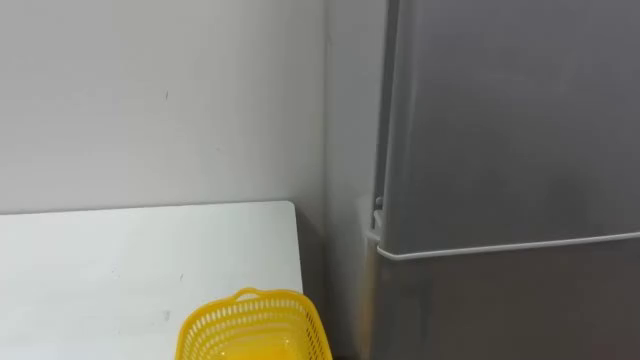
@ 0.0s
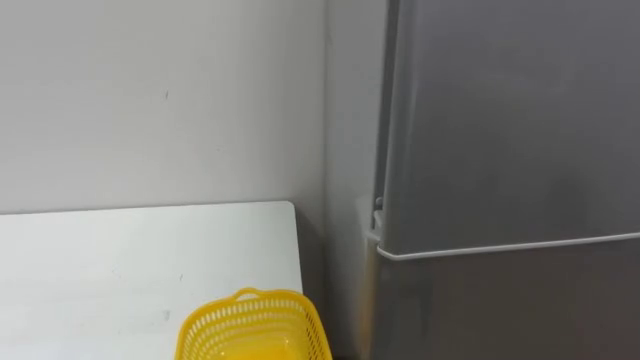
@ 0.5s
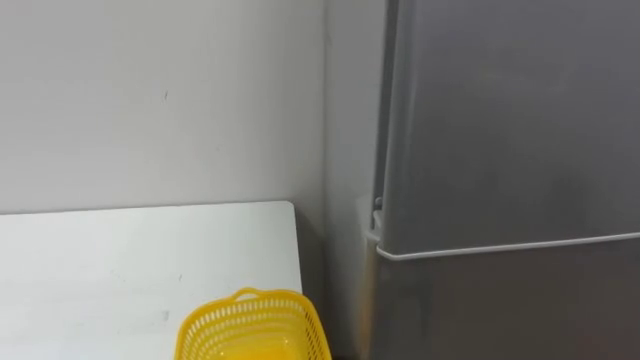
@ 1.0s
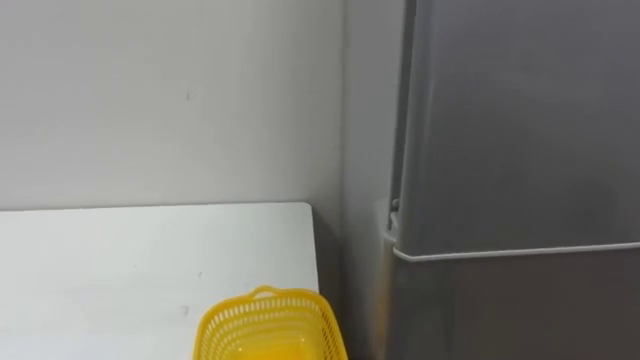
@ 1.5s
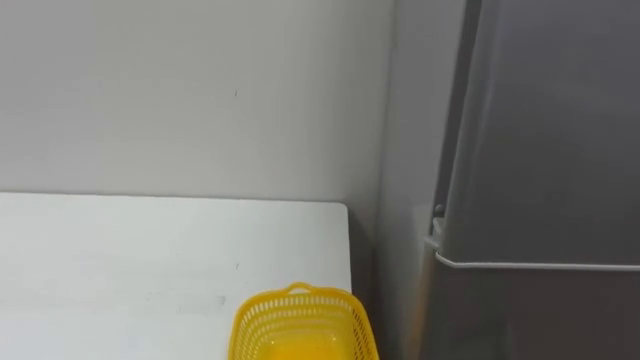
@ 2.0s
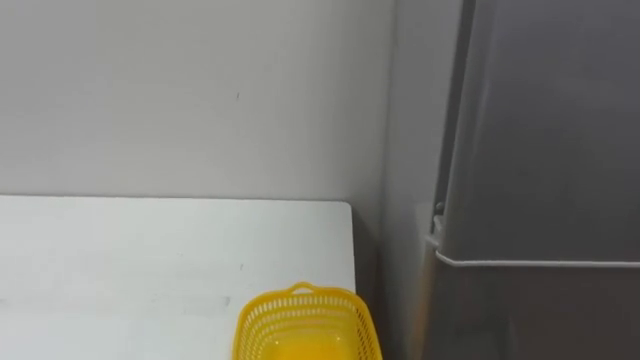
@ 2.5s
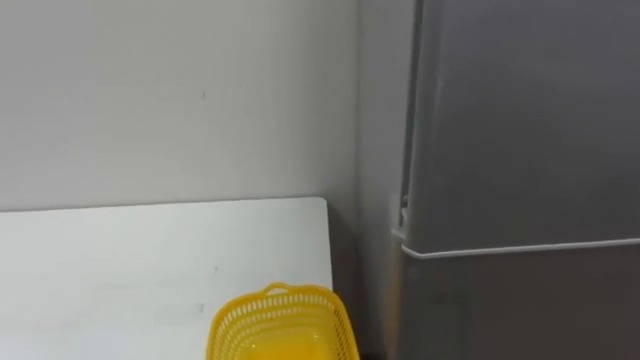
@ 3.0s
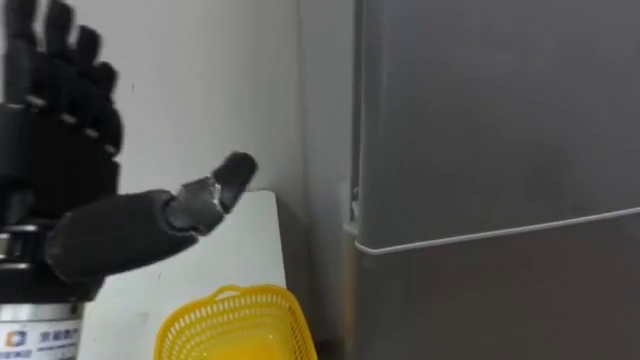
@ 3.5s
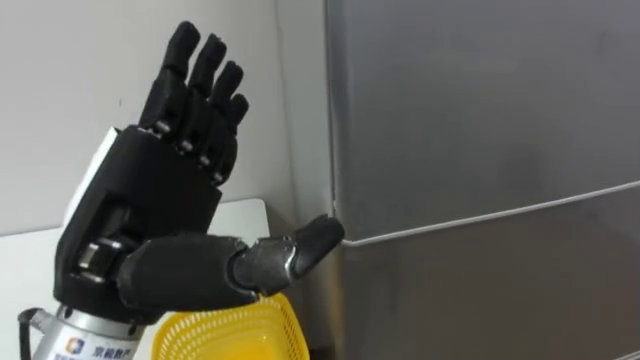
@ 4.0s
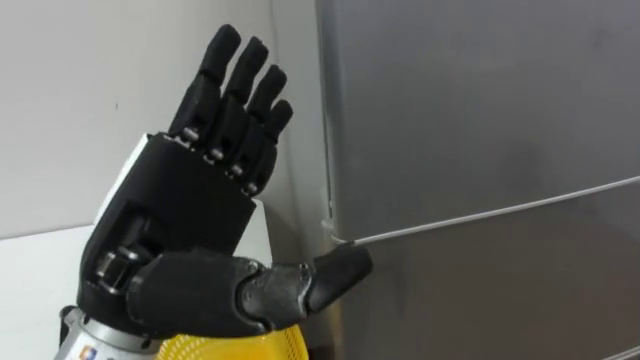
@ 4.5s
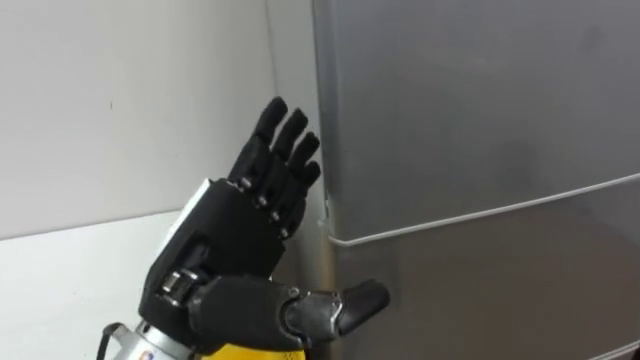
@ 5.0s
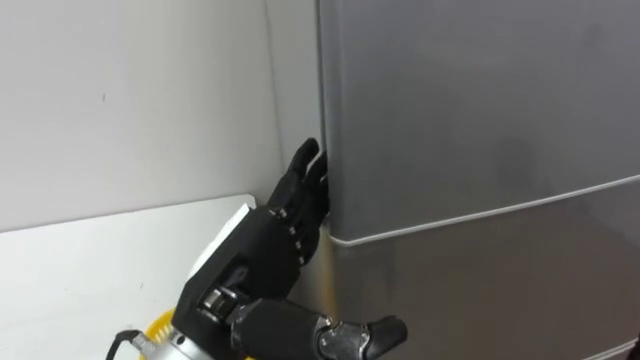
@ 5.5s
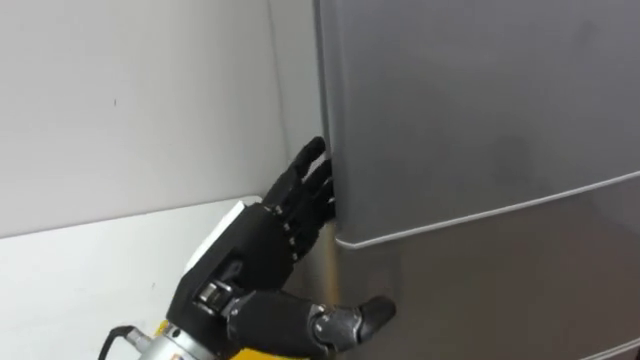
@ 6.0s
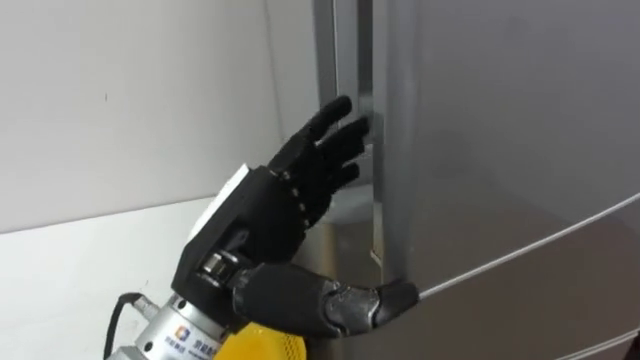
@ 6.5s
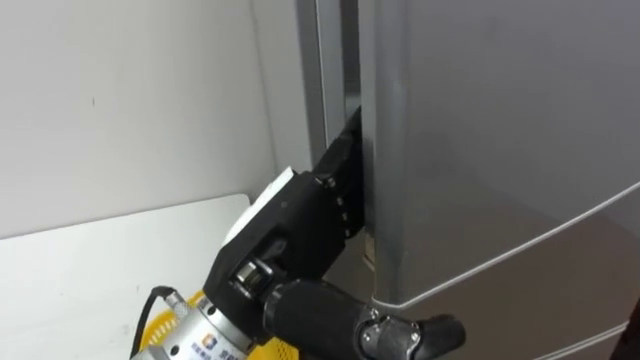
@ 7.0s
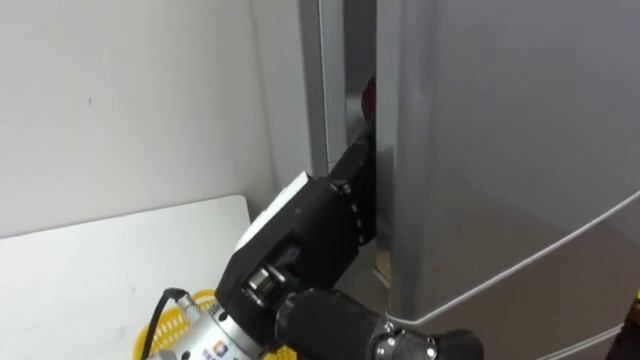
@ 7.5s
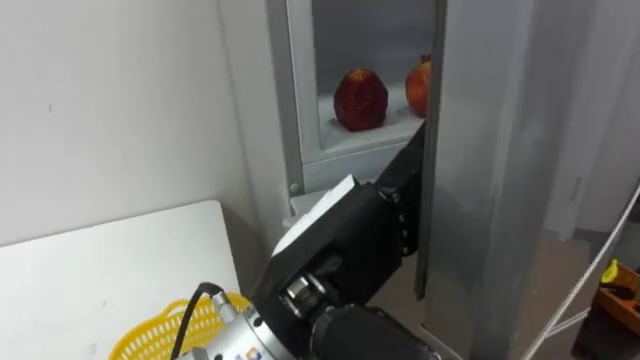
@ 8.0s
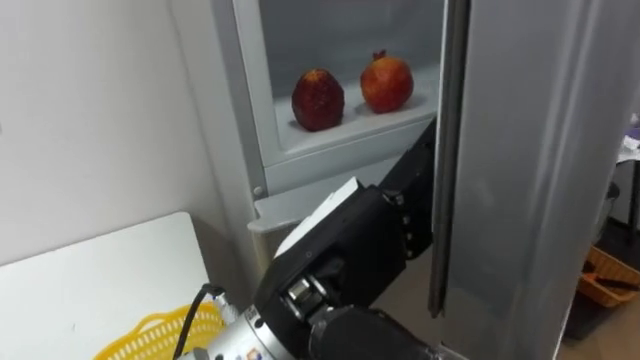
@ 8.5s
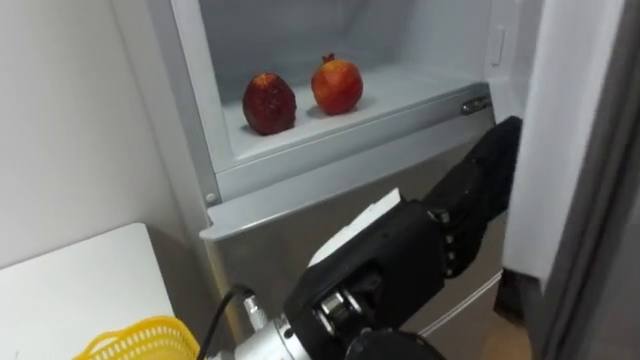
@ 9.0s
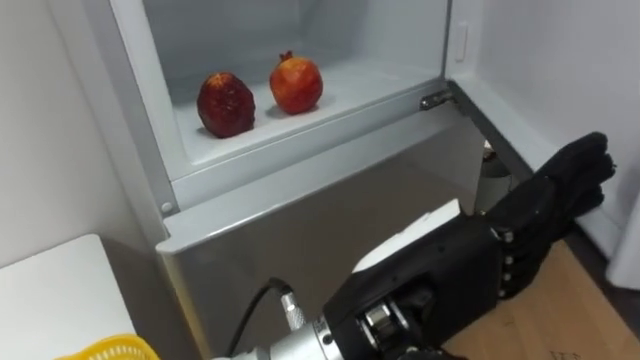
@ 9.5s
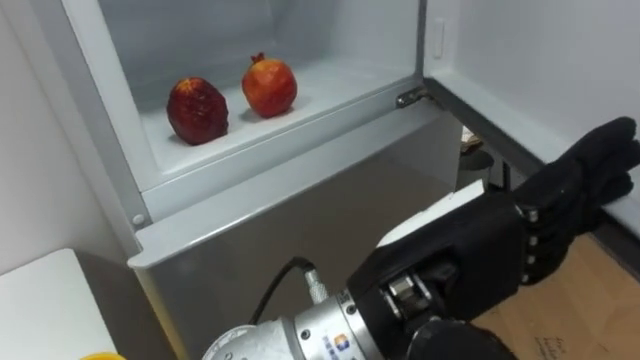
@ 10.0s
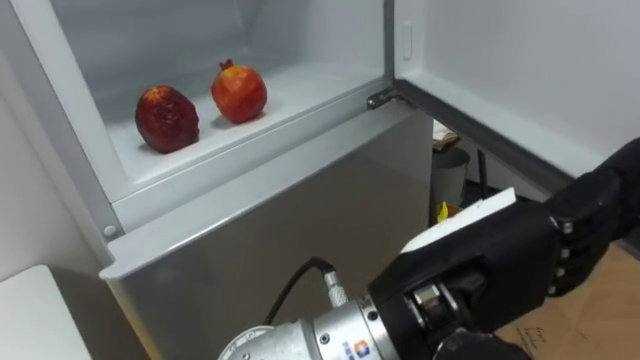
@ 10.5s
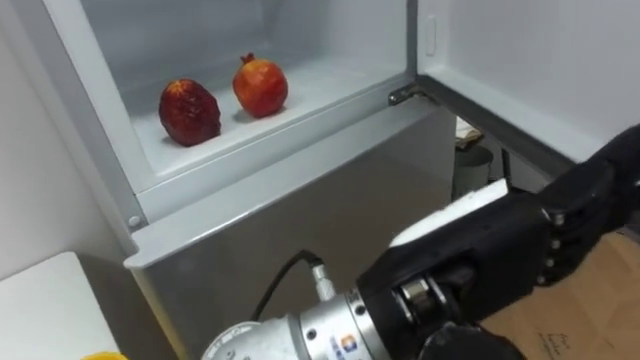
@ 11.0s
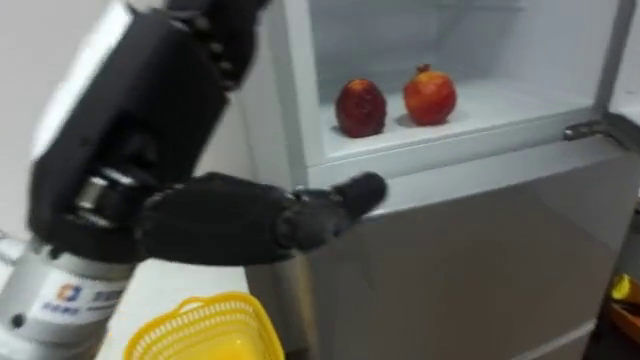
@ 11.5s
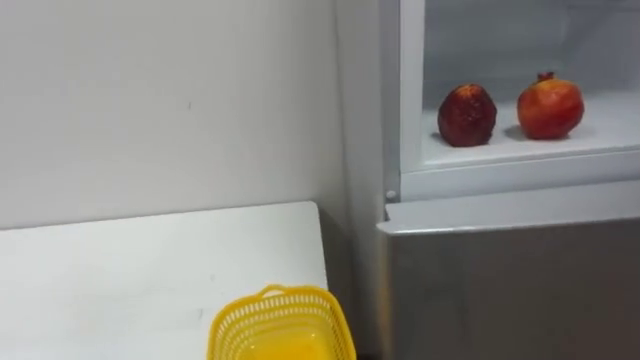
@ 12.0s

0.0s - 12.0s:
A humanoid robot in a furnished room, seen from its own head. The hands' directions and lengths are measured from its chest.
Task of the whole recording: Open the refrigerator door, take out the apple and the pomegranate, place them in the fruit basket on the left, and close the refrigerator door.
4.0s - 6.0s: The left hand travels downward and to the right by some 10 cm.
6.0s - 8.0s: The left hand heads to the right, covering some 5 cm.
8.0s - 10.0s: The left hand travels to the right by approximately 5 cm.

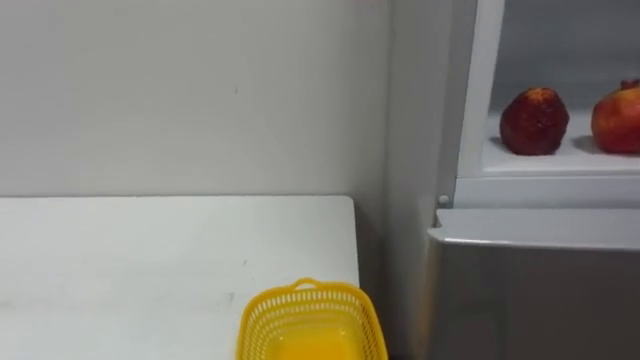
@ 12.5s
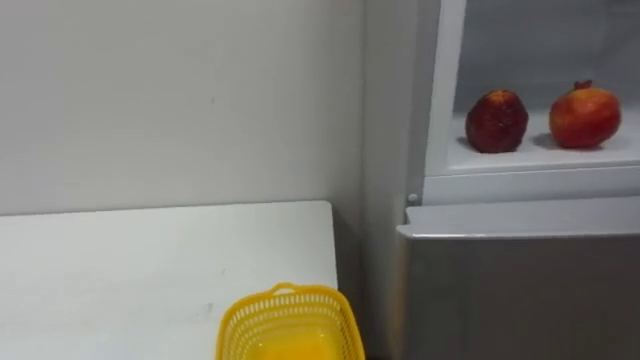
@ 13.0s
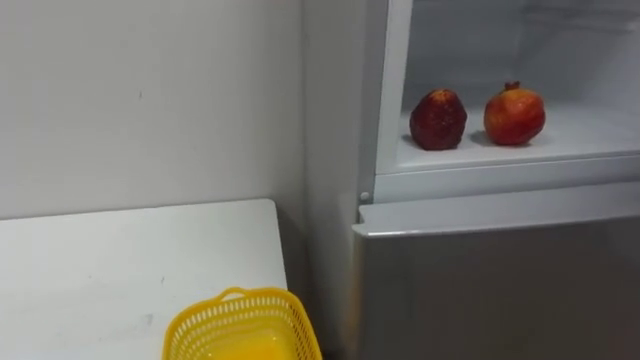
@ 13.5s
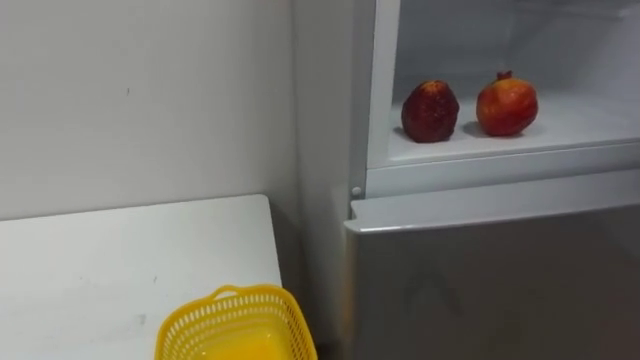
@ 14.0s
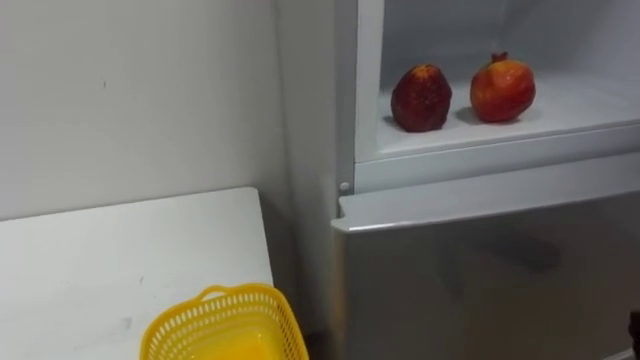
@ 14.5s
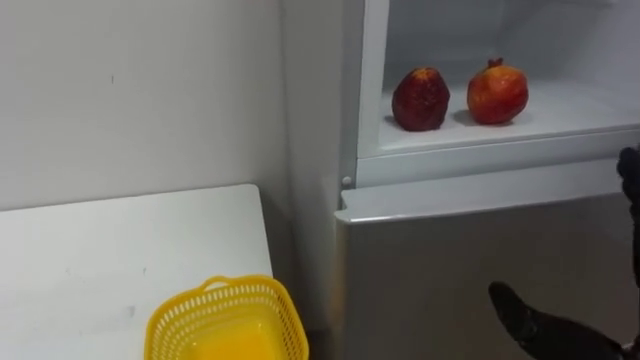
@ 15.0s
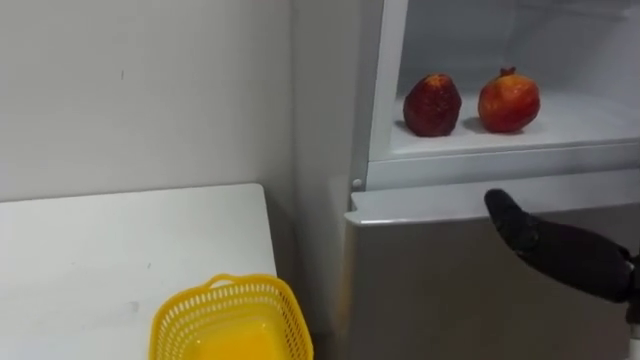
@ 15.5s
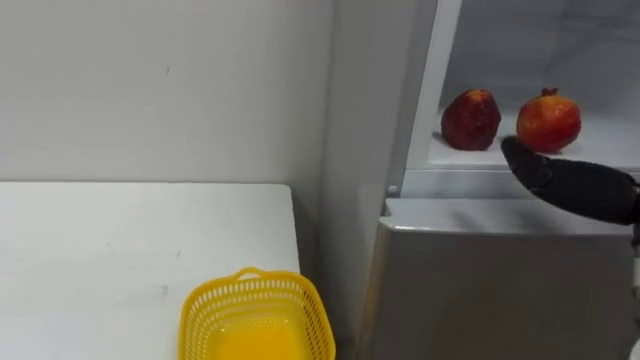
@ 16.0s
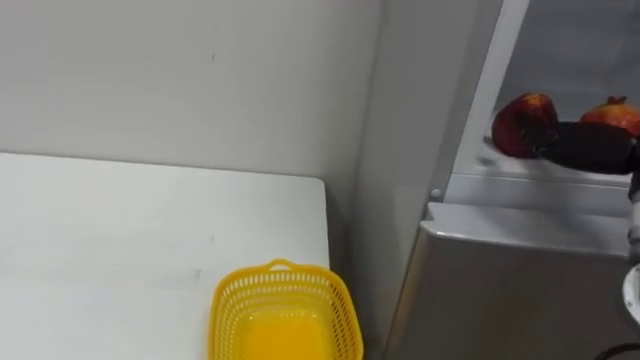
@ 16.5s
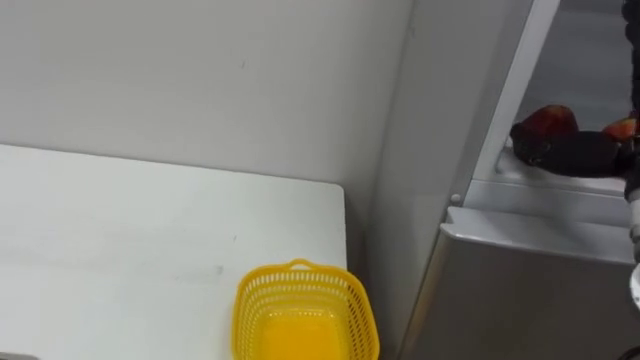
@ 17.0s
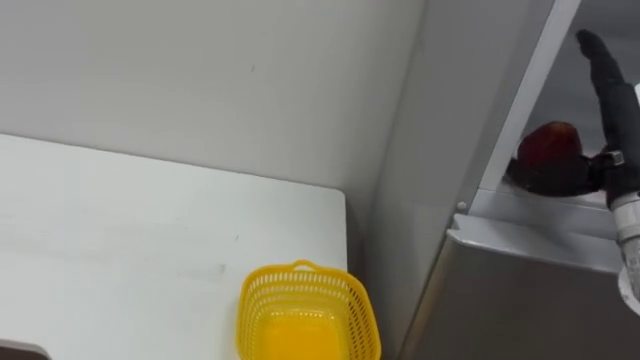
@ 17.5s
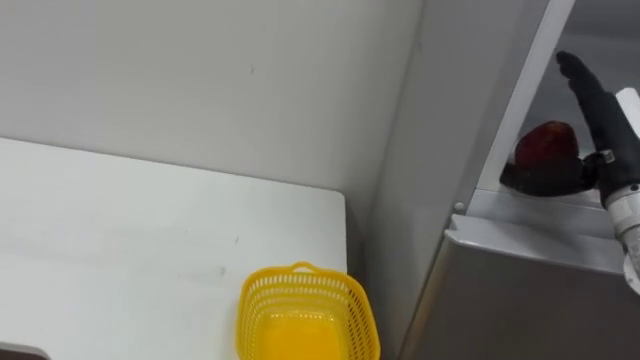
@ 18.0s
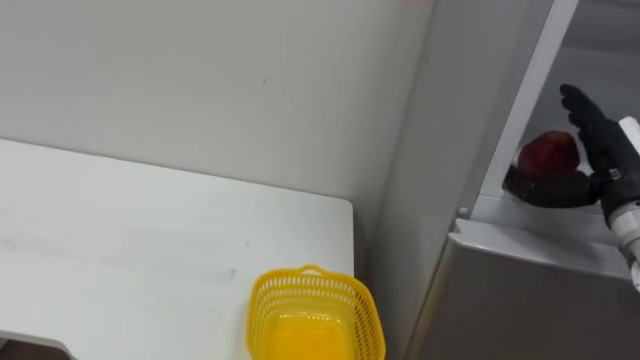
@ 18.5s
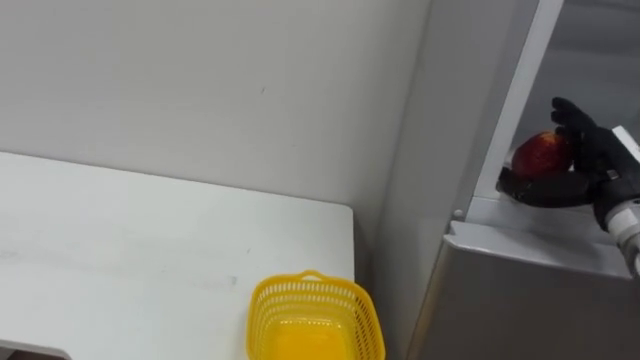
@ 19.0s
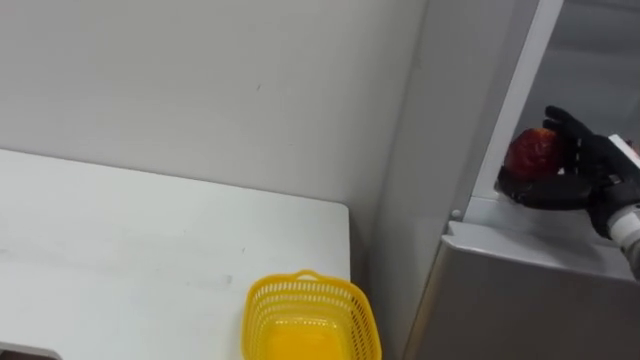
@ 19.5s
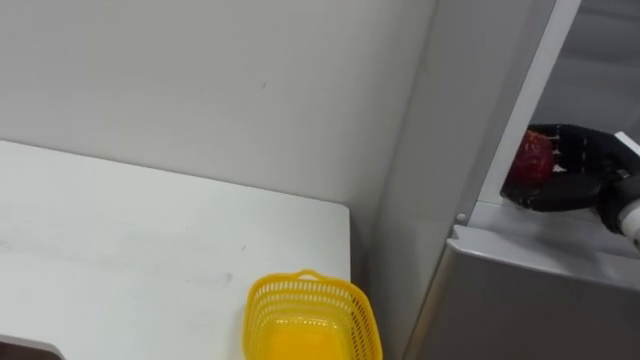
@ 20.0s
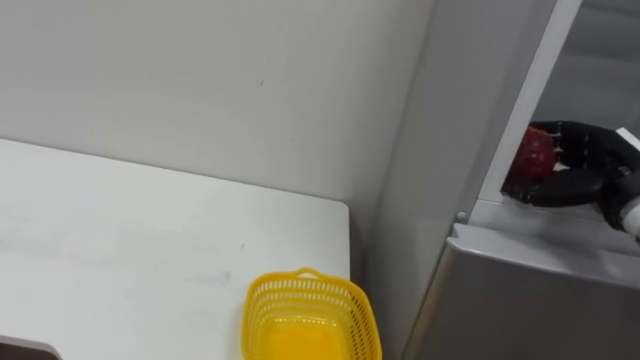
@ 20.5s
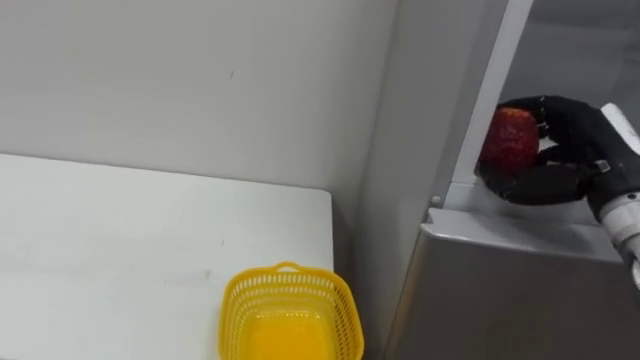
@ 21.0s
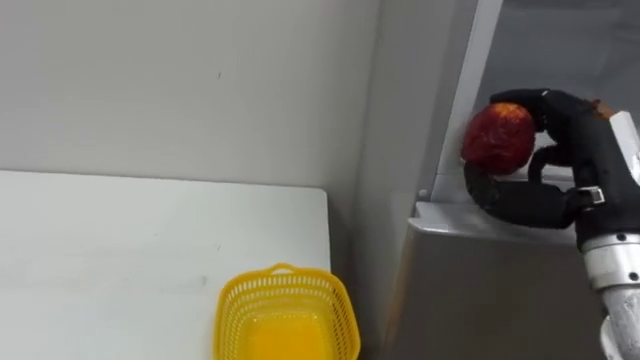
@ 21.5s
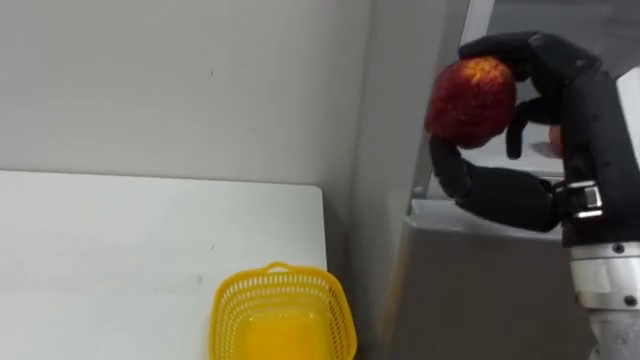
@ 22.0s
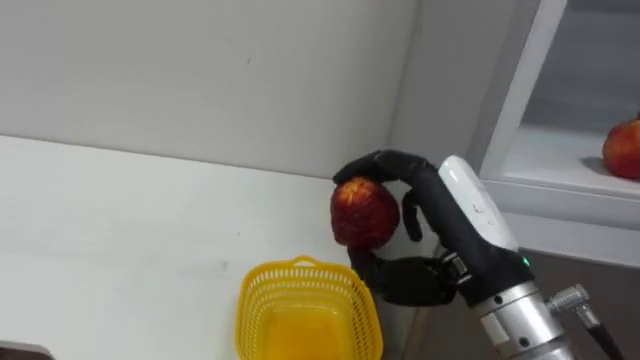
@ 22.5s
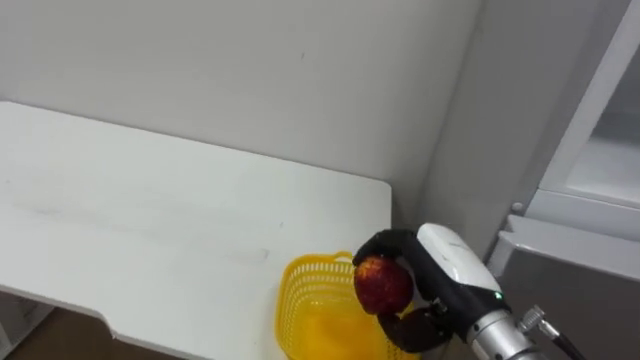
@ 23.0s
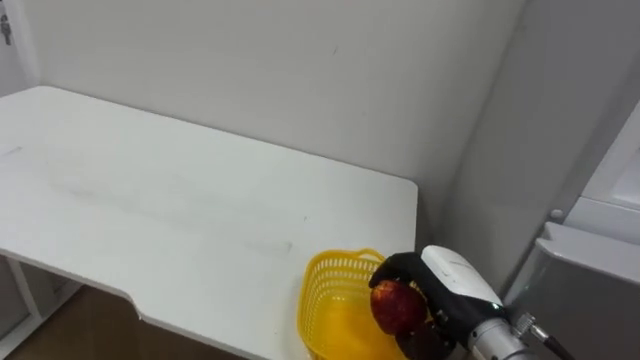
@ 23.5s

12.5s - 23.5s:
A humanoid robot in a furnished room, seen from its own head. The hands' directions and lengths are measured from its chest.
Task of the whole recording: Open the refrigerator door, take out the apple and the pomegranate, place them in the fruit basket on the left, and close the refrigerator door.
18.0s - 20.0s: The right hand heads downward, covering about 5 cm, and closes its fingers.
20.0s - 21.5s: The right hand is displaced backward and to the left by about 10 cm.
21.5s - 23.5s: The right hand heads downward and to the left, covering about 20 cm.
